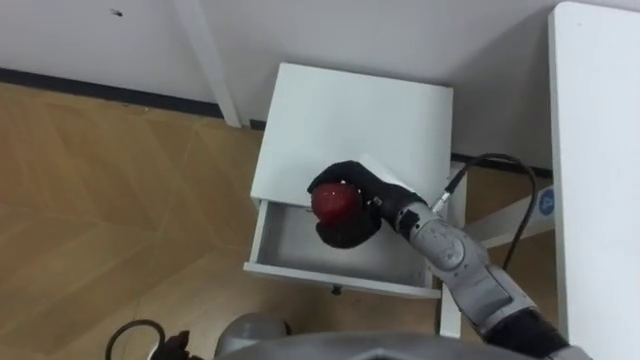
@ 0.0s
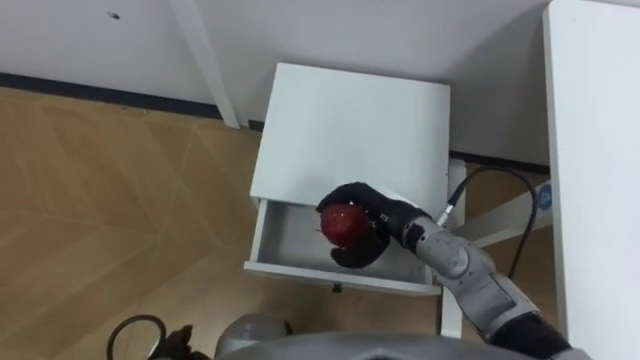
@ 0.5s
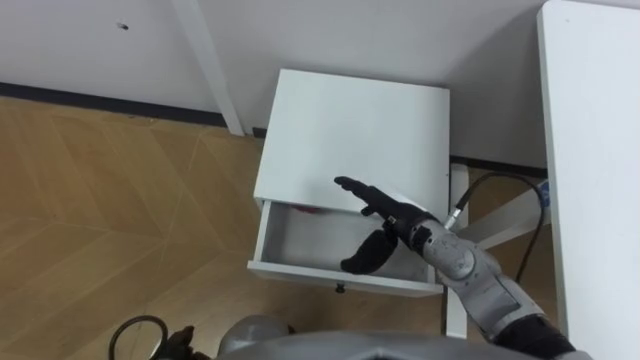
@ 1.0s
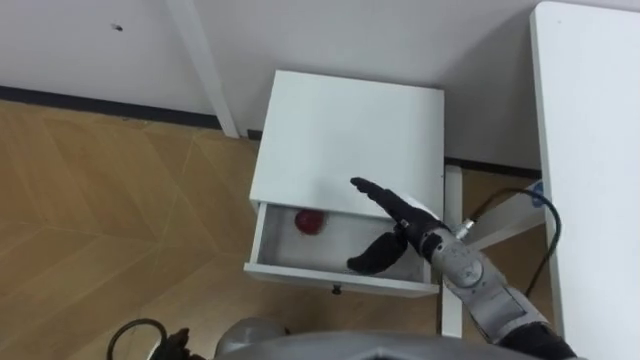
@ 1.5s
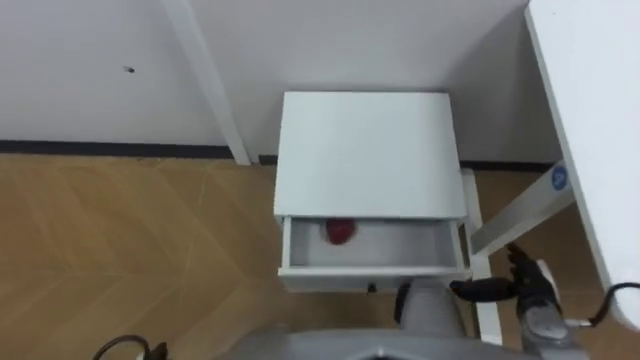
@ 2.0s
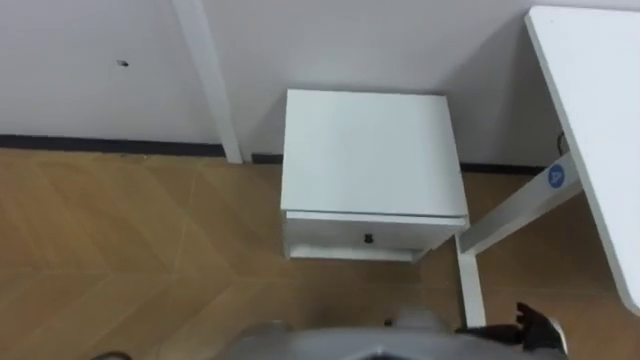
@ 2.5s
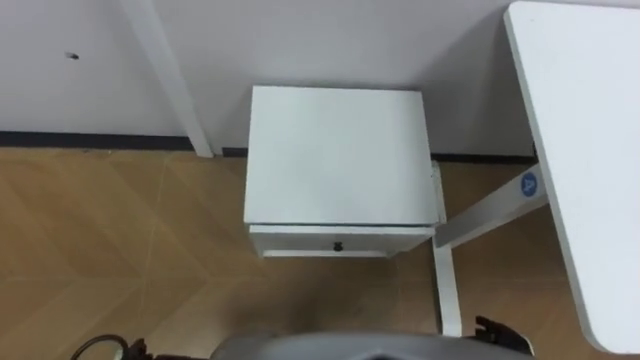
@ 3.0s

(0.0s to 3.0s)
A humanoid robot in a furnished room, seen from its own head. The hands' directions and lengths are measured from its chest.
Task of the whole recording: Pick up the apple from the table, put it in the drawer, and close the drawer with leg.
0.0s - 1.5s: The right hand ends up some 5 cm from where it was, and opens up.
1.5s - 3.0s: The right hand moves backward, to the right and downward, some 25 cm.

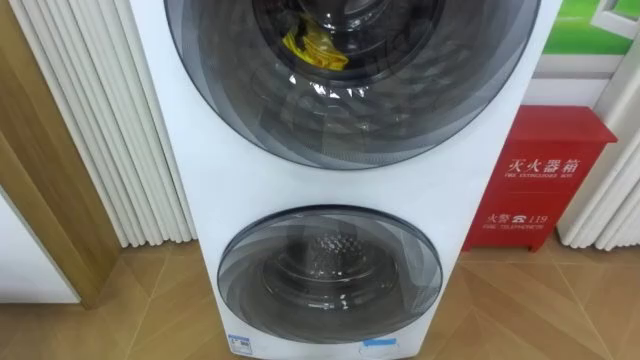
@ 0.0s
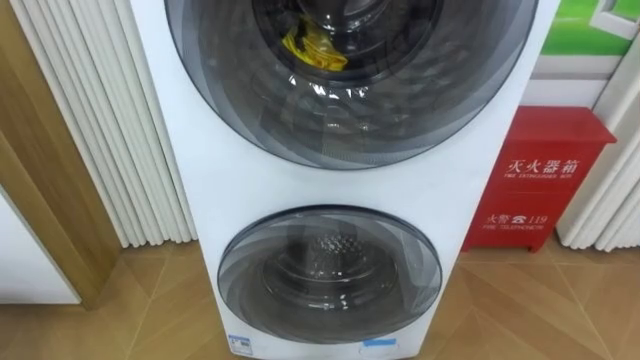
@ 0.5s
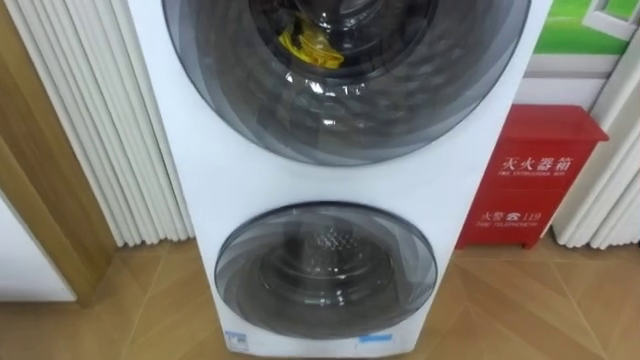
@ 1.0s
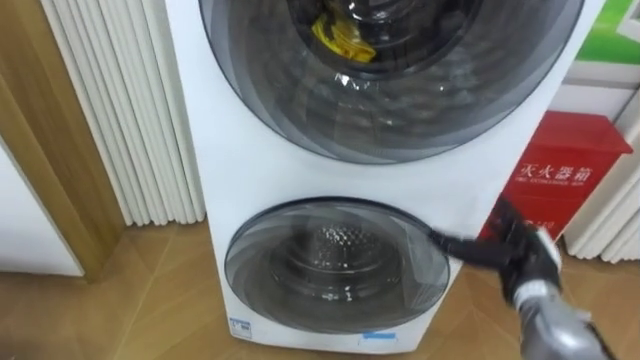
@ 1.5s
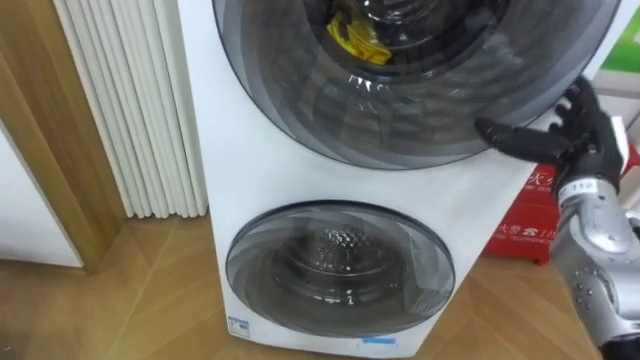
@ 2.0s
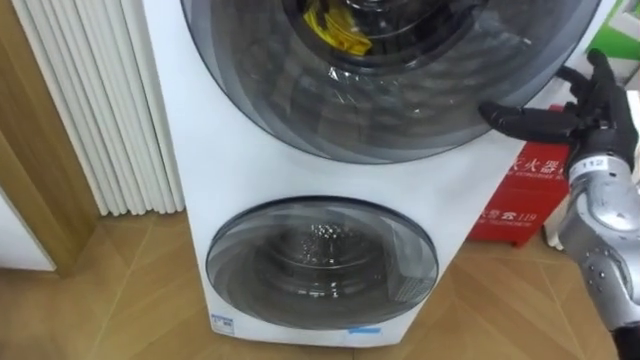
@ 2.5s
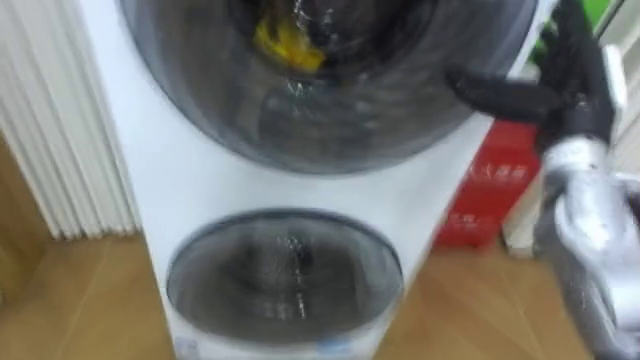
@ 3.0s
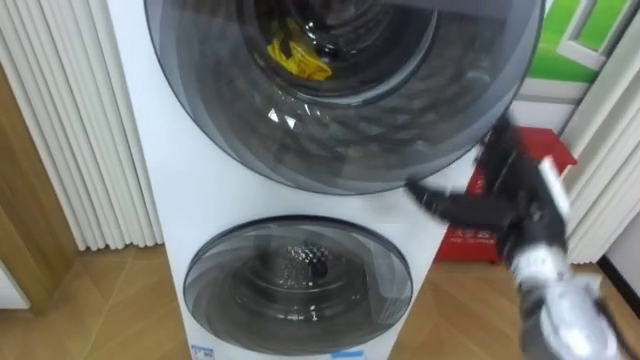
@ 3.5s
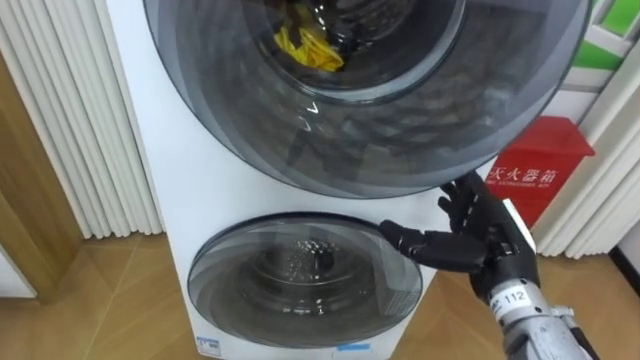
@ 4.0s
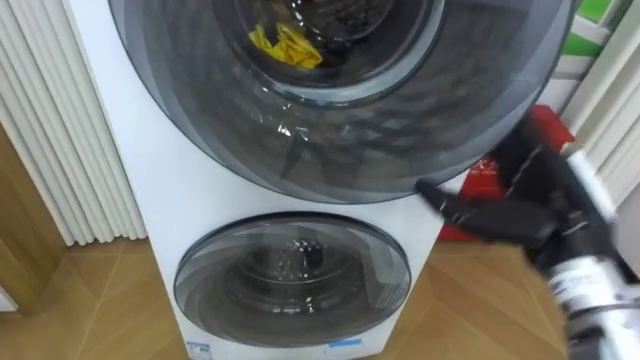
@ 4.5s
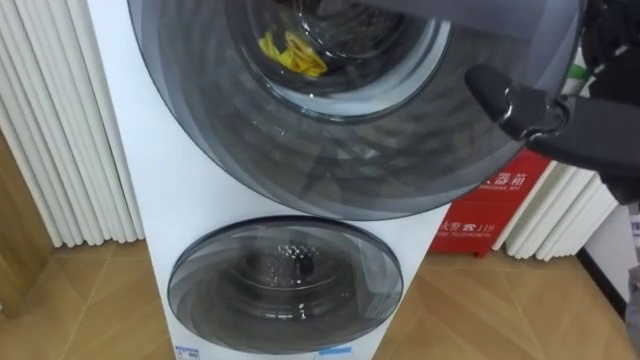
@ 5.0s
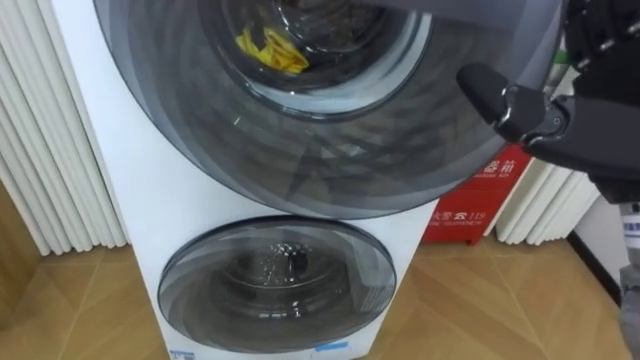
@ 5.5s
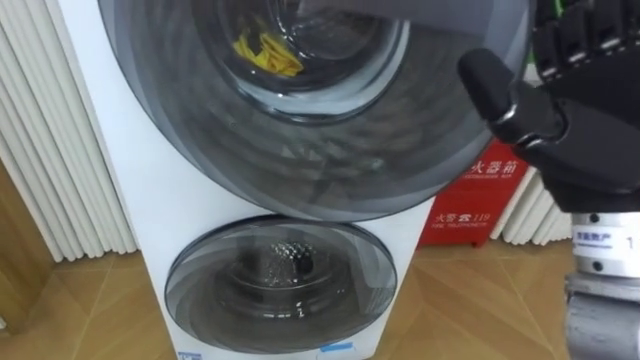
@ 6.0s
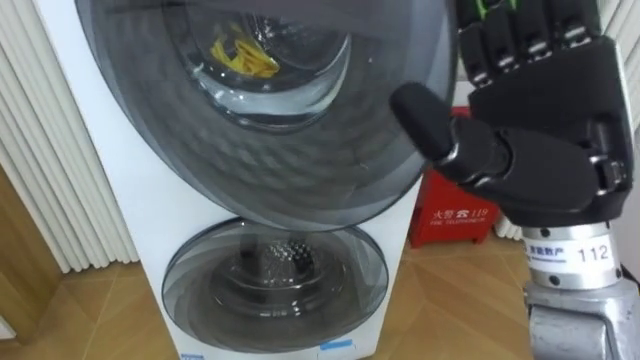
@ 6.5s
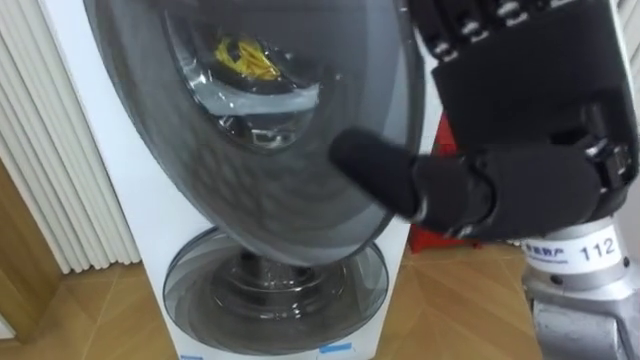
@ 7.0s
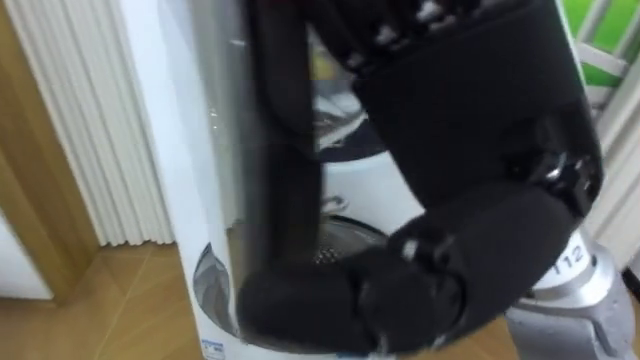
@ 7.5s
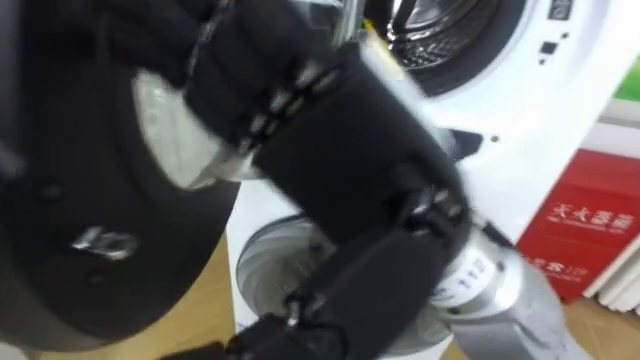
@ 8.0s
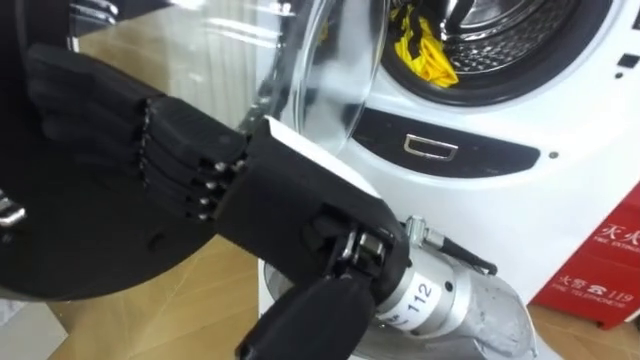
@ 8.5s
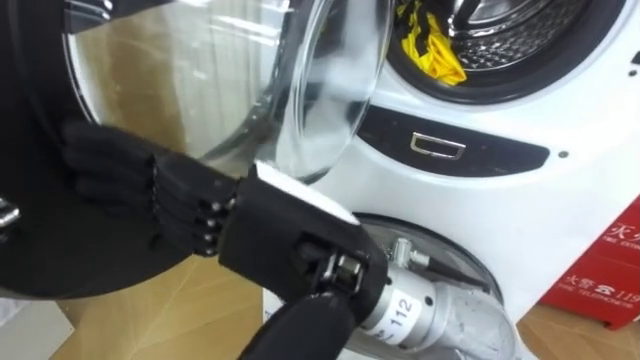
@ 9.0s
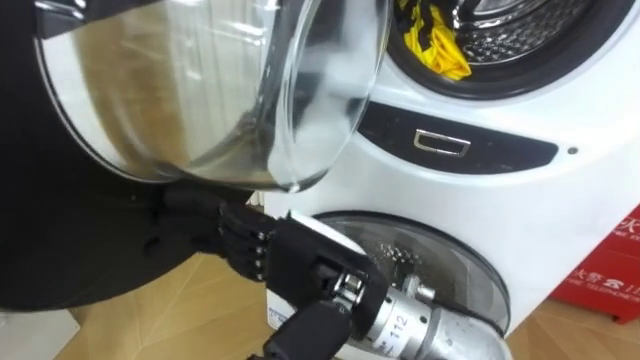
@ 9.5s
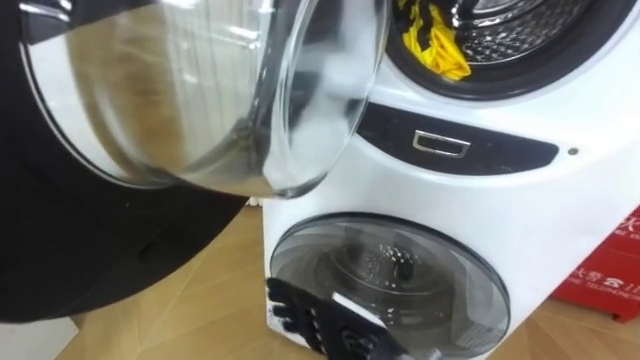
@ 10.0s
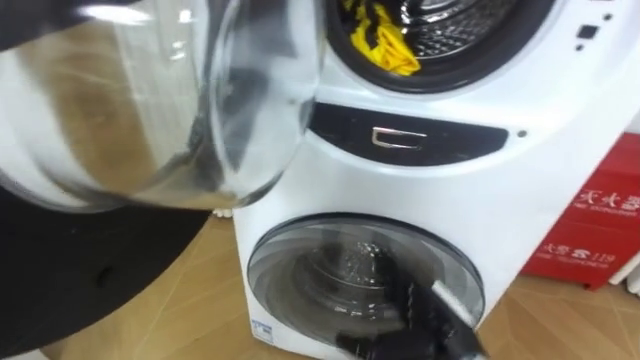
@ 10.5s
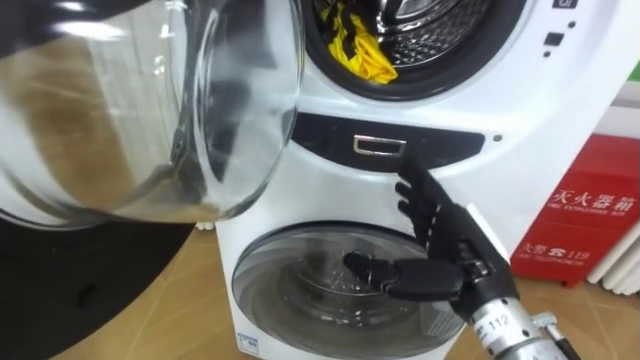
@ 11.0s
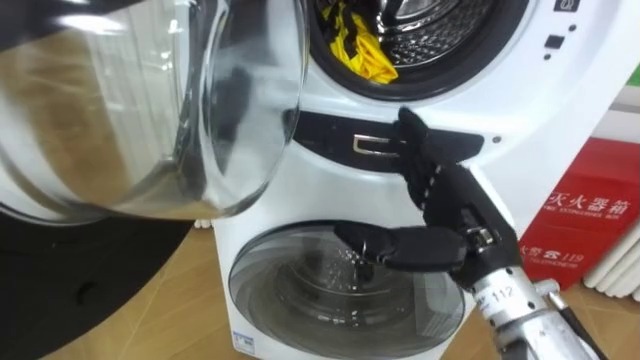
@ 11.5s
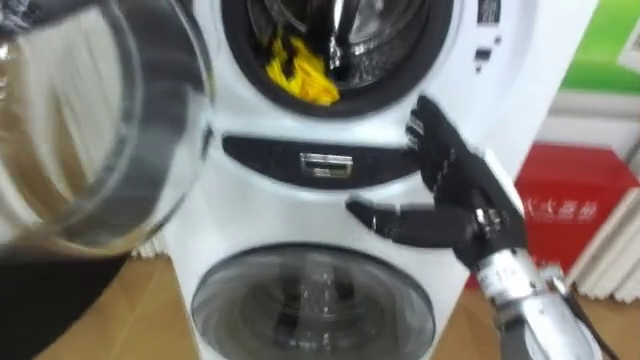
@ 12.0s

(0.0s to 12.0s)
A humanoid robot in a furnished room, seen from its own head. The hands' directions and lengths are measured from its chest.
Task of the whole recording: Open the washing machine door, take out the yellow clothes, place them in the box on the right, and close the washing machine door.
2.0s - 4.0s: The right hand is displaced to the left, backward and downward by about 15 cm.
6.0s - 8.0s: The right hand is displaced to the left by roughly 15 cm.
8.0s - 10.0s: The right hand shifts approximately 30 cm downward.
10.0s - 12.0s: The right hand goes approximately 20 cm upward, to the right and forward.

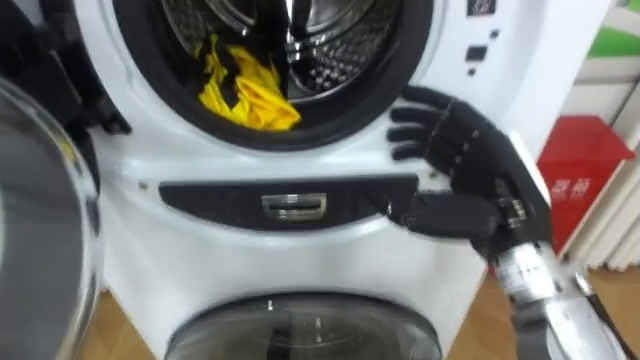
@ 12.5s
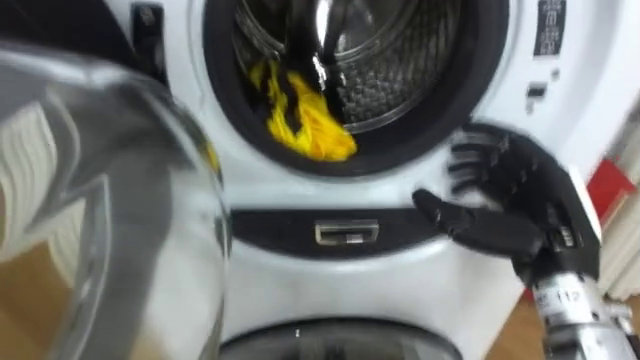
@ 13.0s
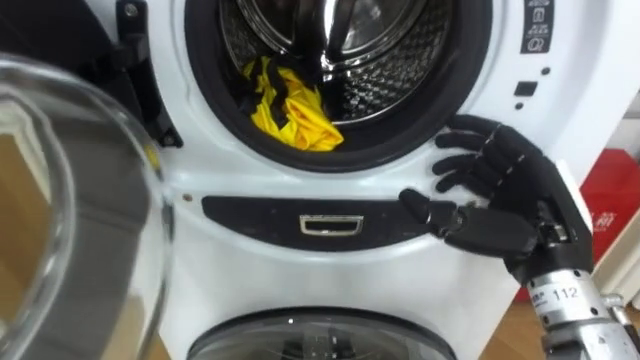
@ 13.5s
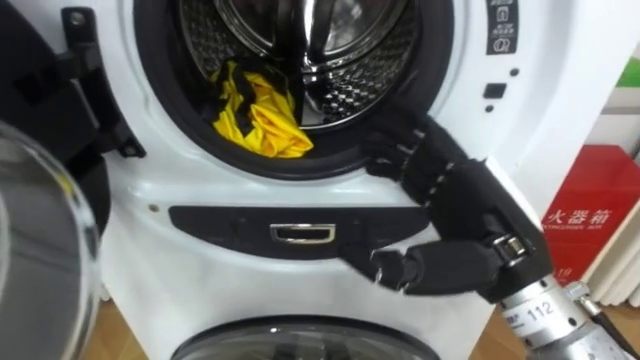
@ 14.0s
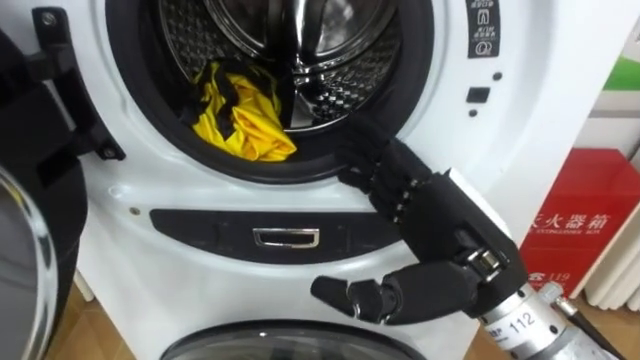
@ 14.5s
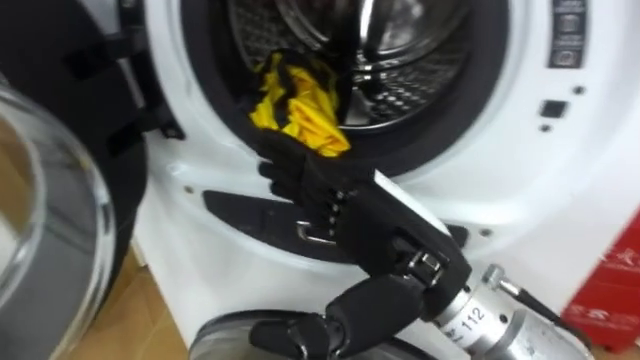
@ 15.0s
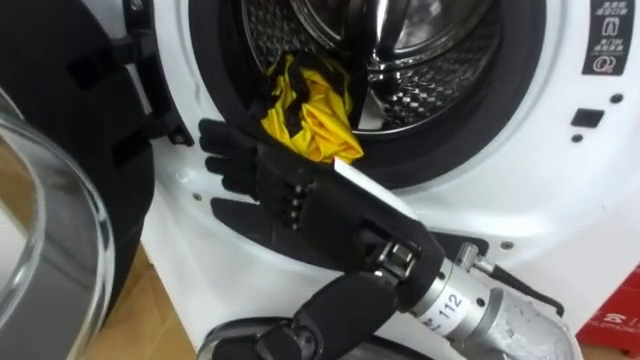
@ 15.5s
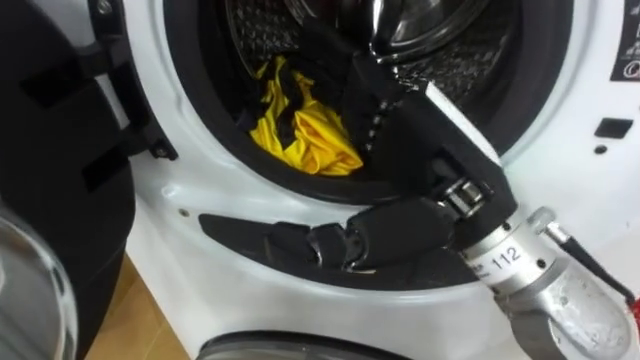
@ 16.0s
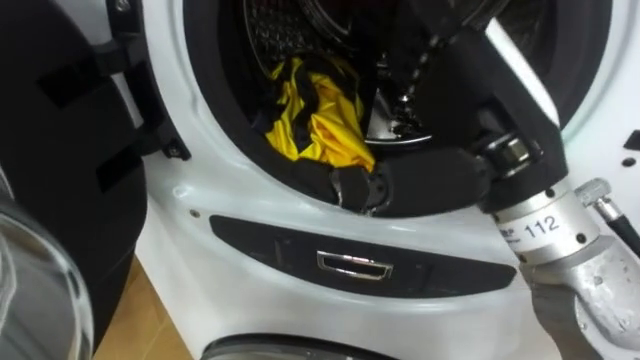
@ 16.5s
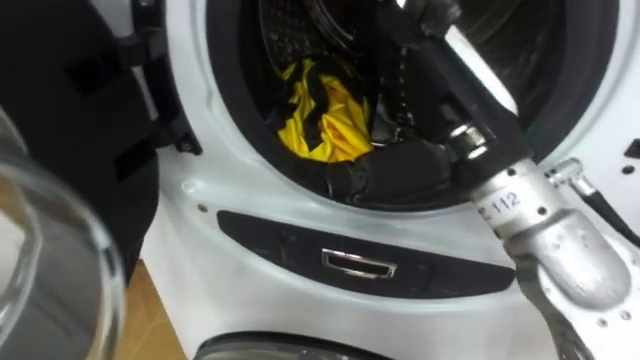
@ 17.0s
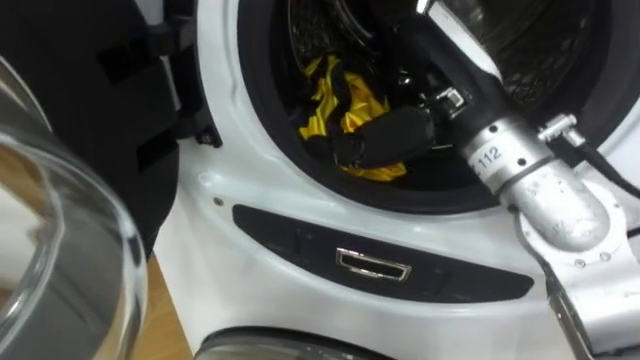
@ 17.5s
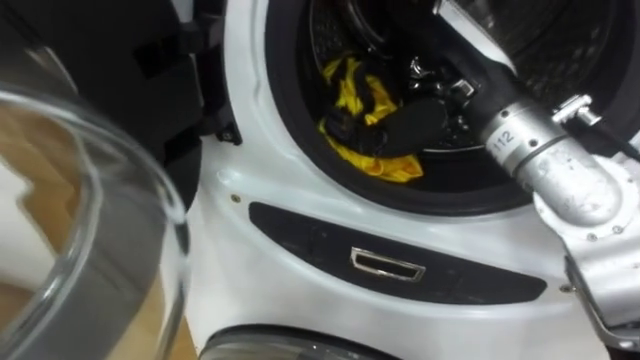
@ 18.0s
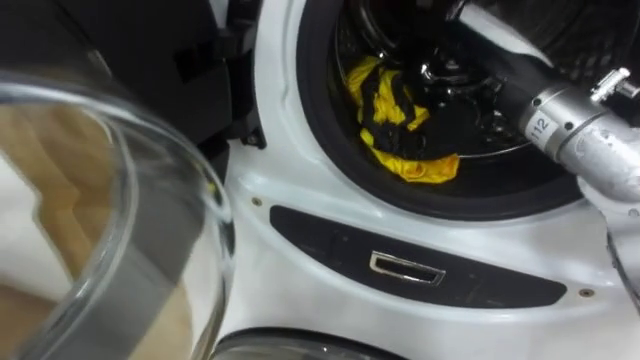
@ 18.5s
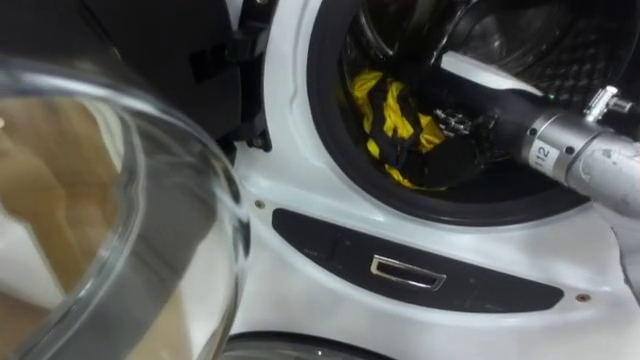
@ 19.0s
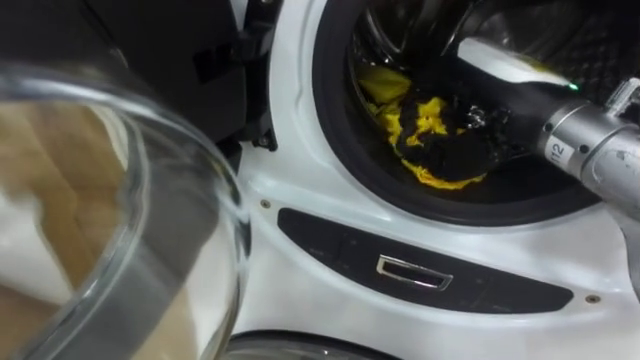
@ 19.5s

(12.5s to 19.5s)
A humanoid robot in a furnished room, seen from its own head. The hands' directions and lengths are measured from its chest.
Task of the whole recording: Open the washing machine door, take out the yellow clothes, place them in the box on the right, and close the washing machine door.
12.5s - 14.5s: The right hand changes place by approximately 5 cm.
14.5s - 16.0s: The right hand shifts about 5 cm upward, and travels to the left and back again, about 10 cm each way.
16.0s - 17.5s: The right hand moves forward, roughly 5 cm.
17.5s - 19.5s: The right hand travels to the right by some 5 cm, and closes its fingers.
